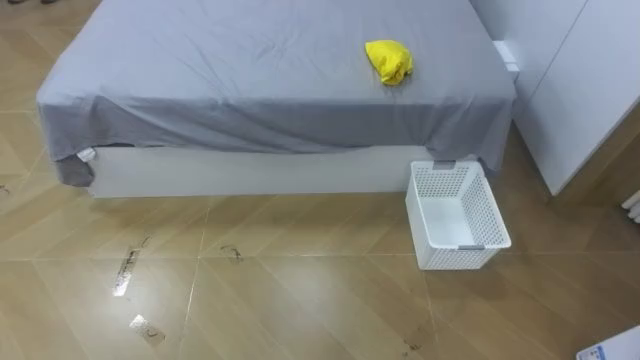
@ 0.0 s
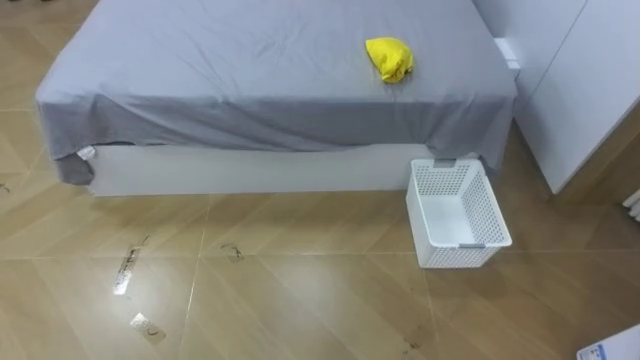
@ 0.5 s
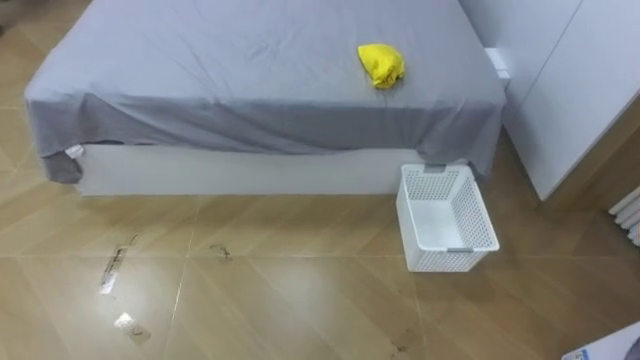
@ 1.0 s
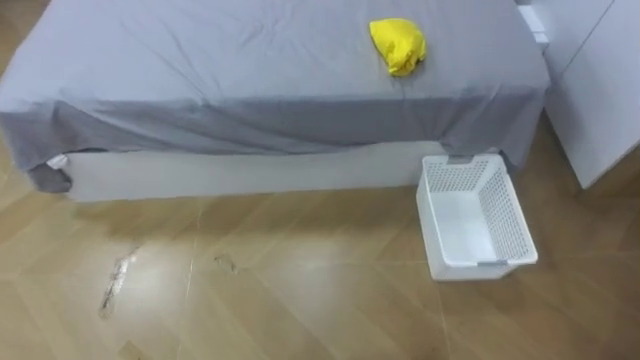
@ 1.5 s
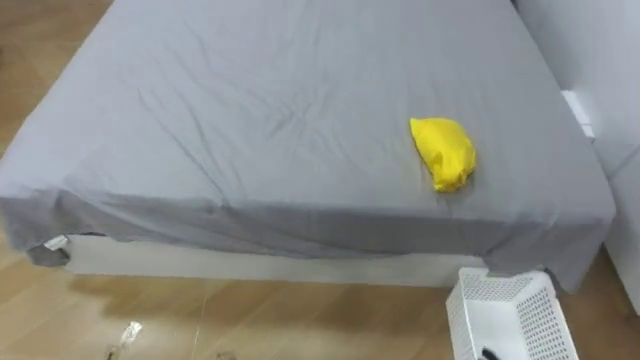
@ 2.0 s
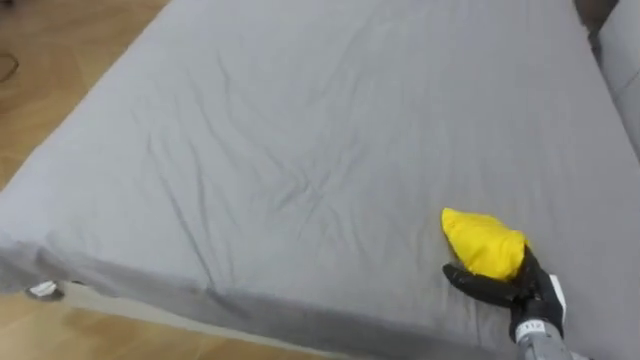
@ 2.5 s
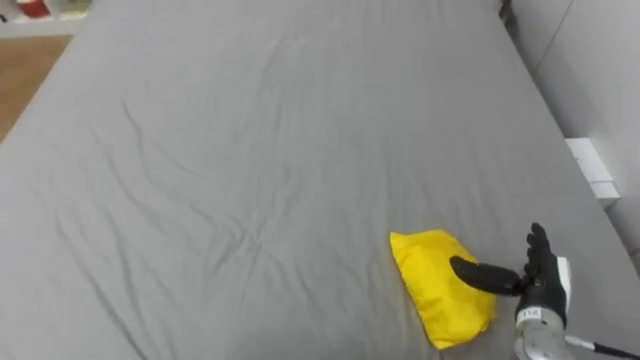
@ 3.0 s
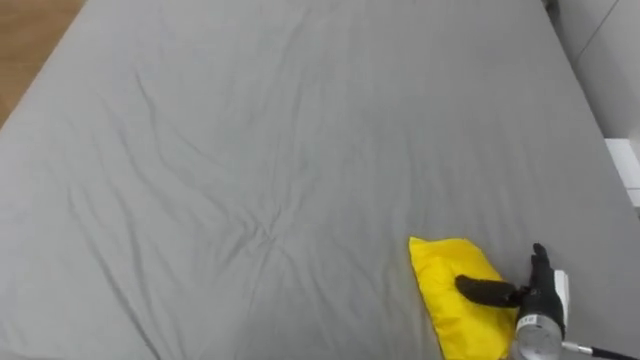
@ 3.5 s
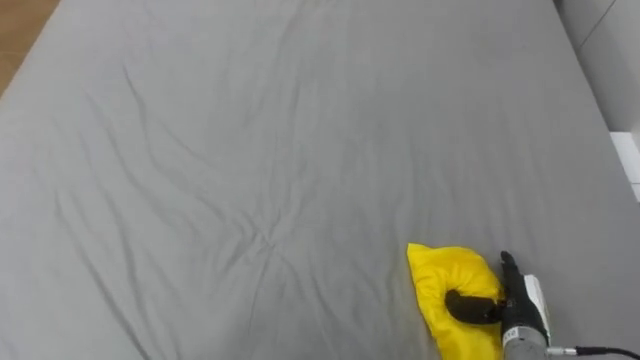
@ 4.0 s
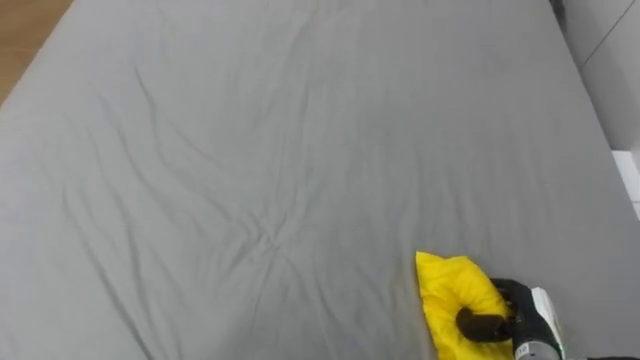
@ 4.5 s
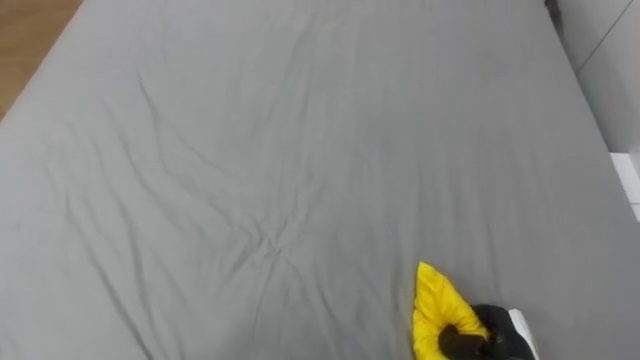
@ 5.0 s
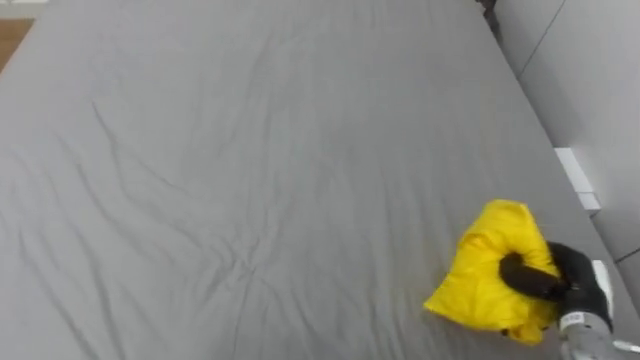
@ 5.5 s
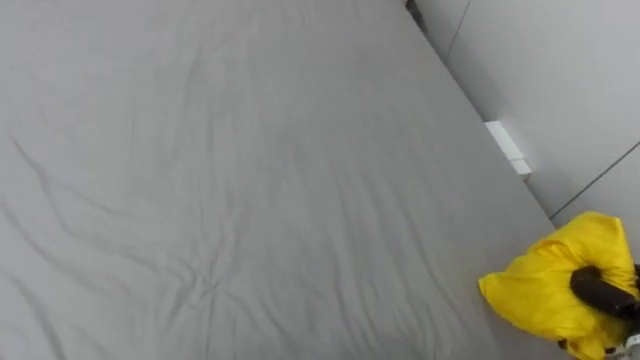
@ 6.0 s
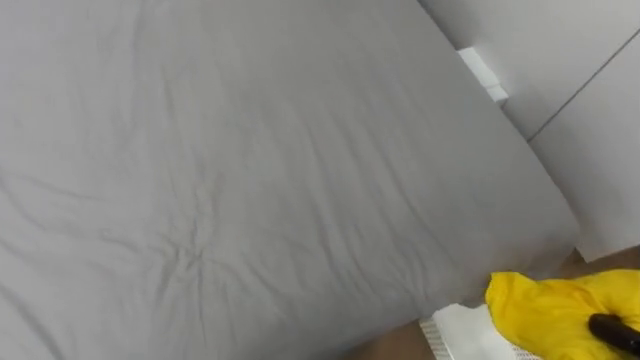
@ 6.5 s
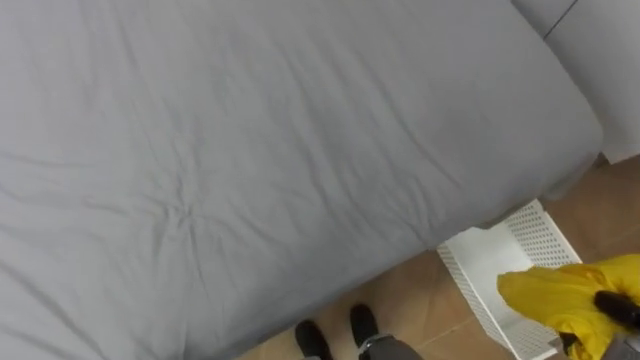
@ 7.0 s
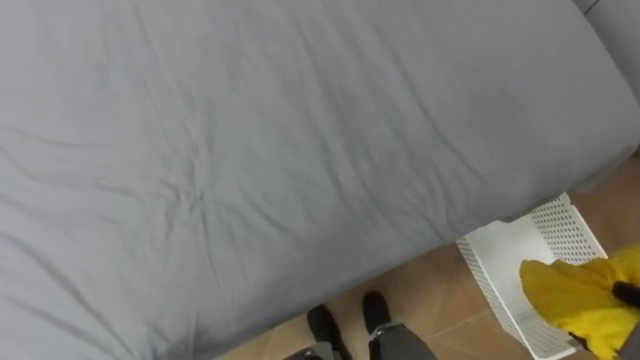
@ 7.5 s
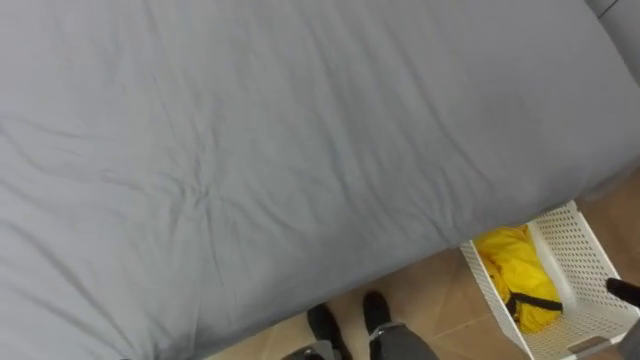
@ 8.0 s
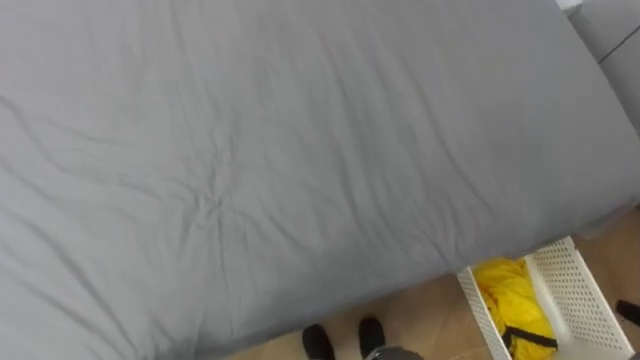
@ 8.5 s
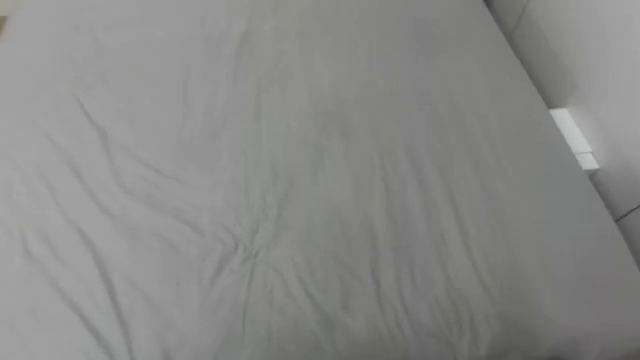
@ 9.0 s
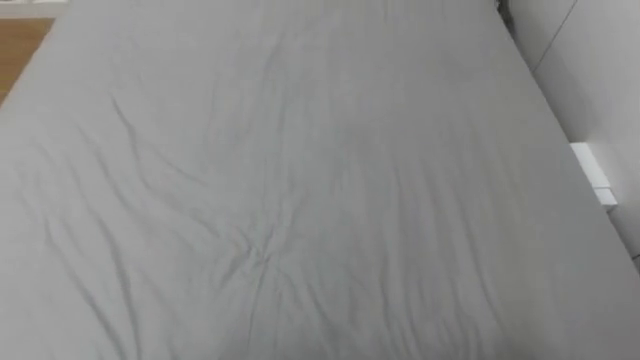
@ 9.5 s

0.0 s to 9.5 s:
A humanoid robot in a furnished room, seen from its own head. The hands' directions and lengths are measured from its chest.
Task of the whole recording: Pick up the yellow clothes on the bed and place them into the white basket on the right.
4.0 to 5.5 s: The right hand is displaced to the right by about 5 cm, and closes up.
7.5 to 9.5 s: The robot rotates roughly 15 degrees to its left.

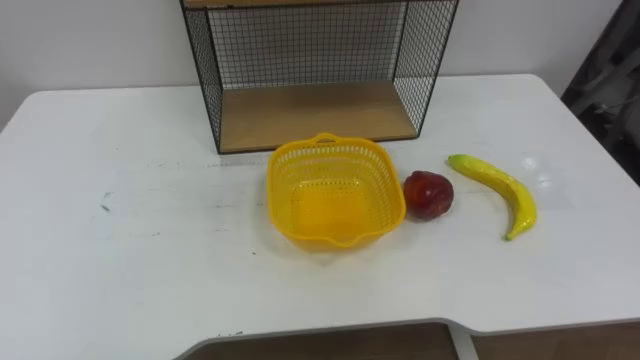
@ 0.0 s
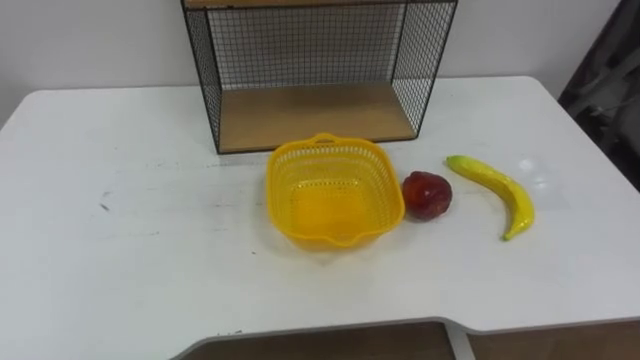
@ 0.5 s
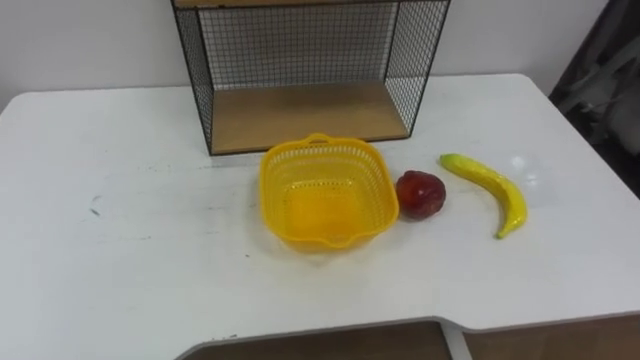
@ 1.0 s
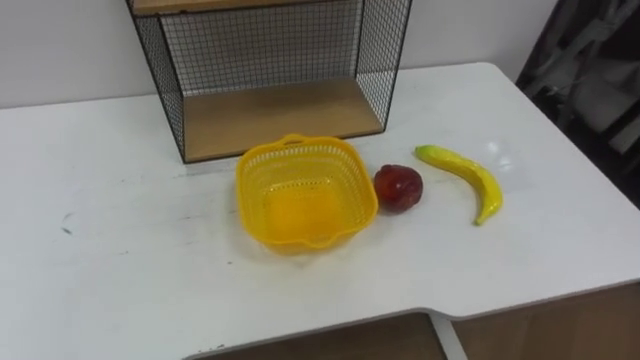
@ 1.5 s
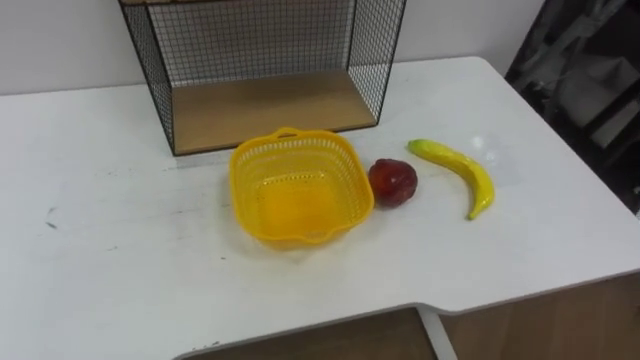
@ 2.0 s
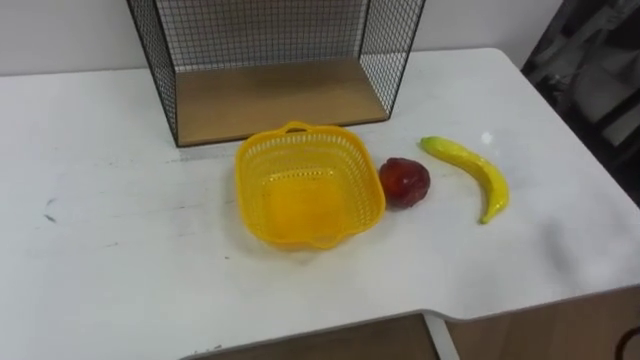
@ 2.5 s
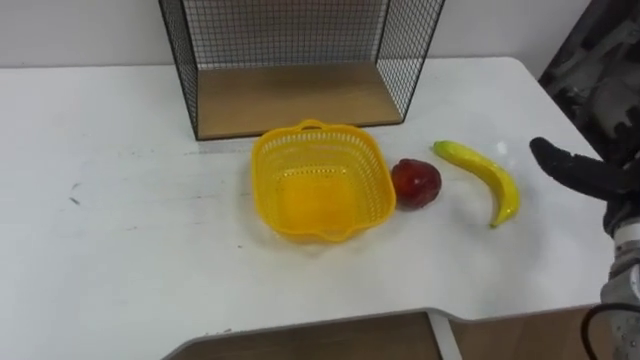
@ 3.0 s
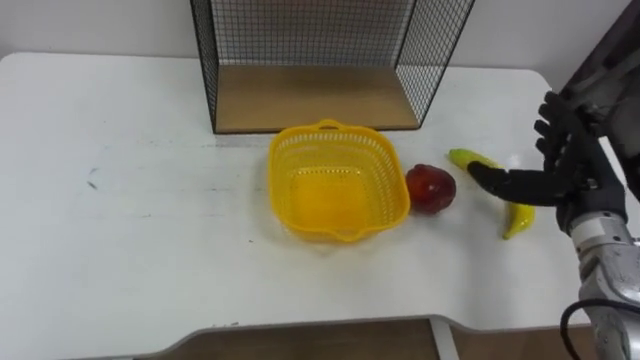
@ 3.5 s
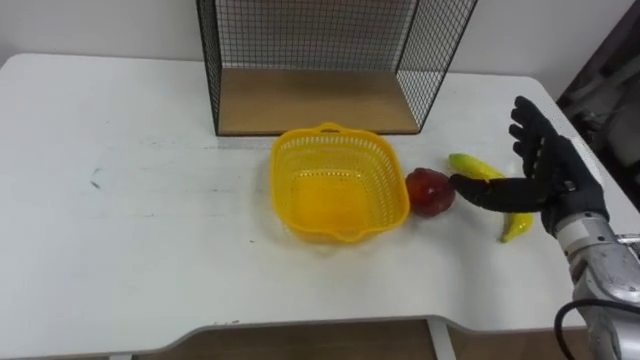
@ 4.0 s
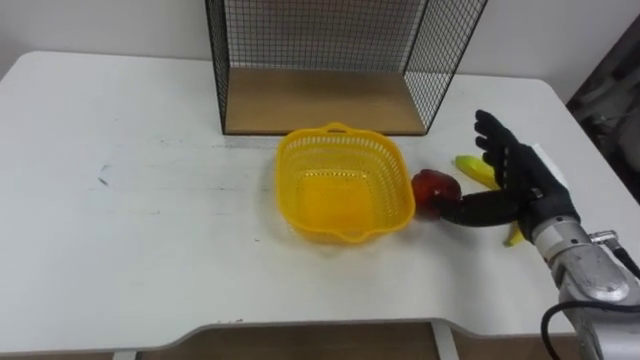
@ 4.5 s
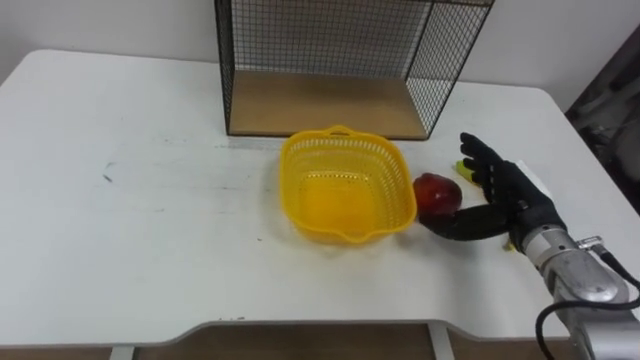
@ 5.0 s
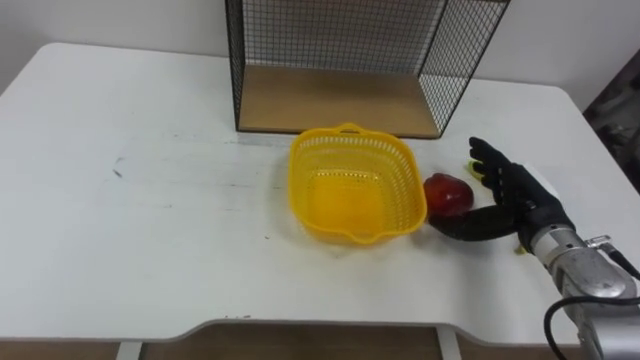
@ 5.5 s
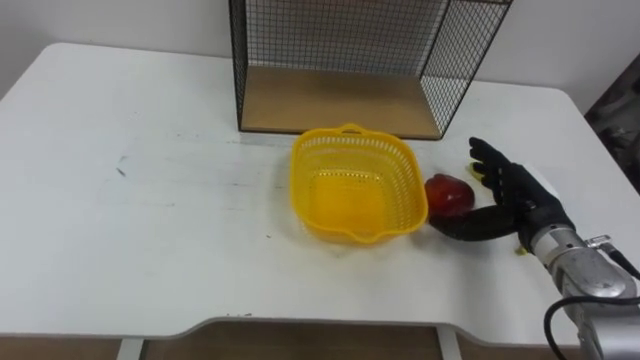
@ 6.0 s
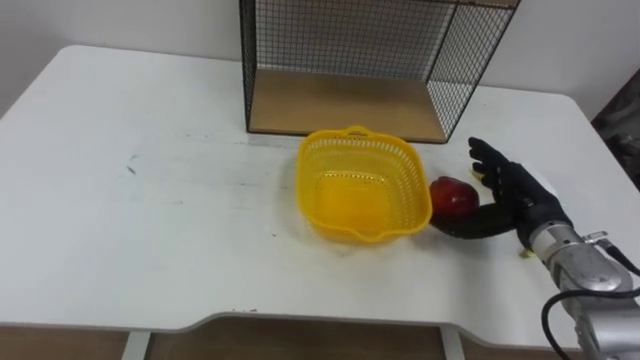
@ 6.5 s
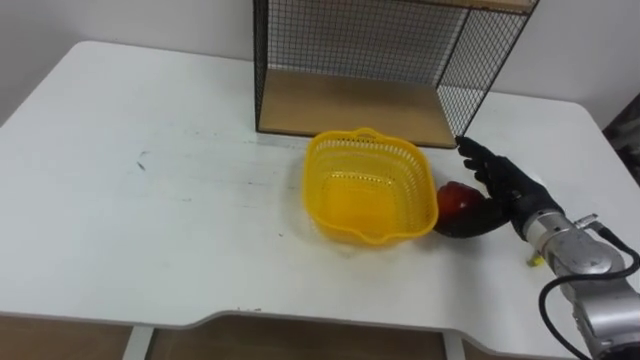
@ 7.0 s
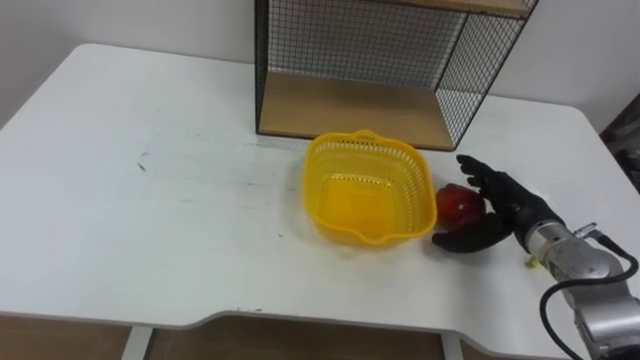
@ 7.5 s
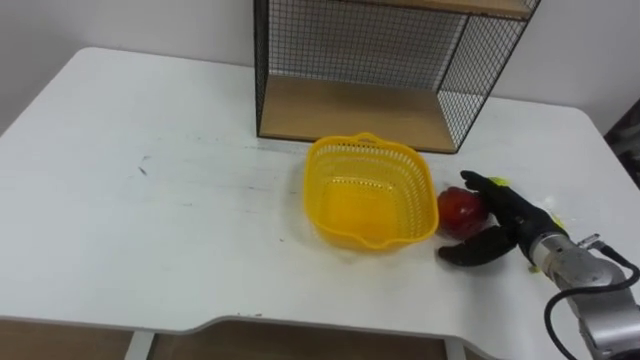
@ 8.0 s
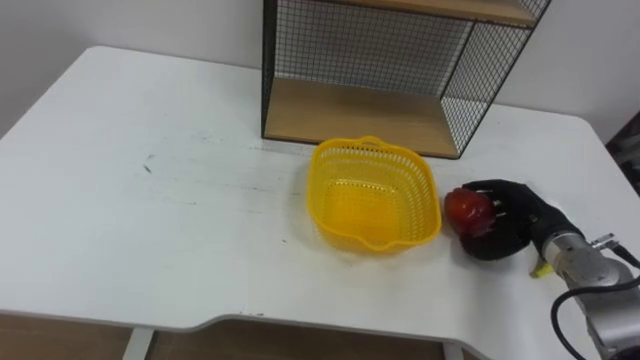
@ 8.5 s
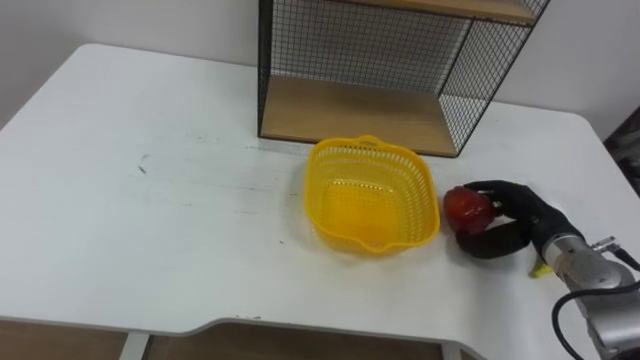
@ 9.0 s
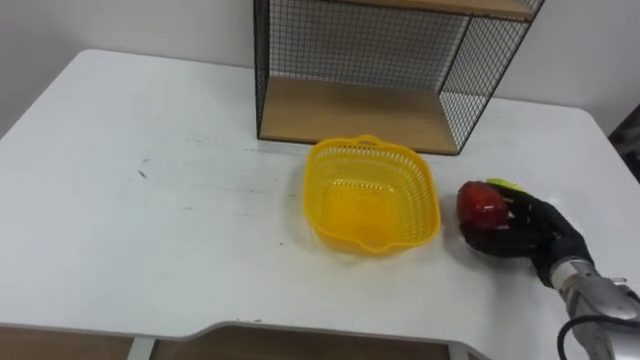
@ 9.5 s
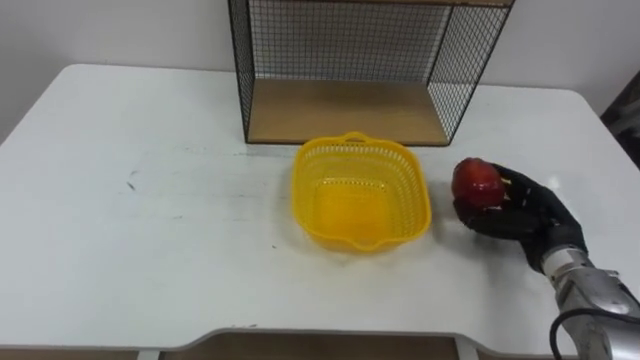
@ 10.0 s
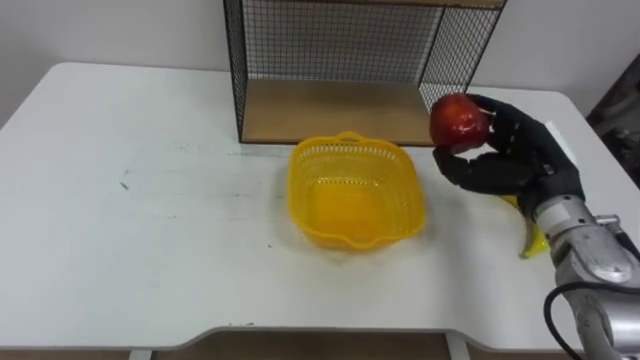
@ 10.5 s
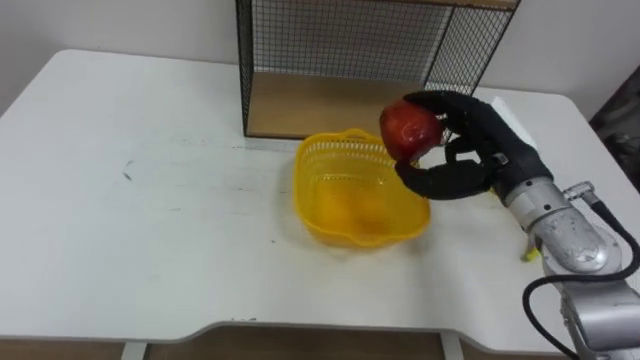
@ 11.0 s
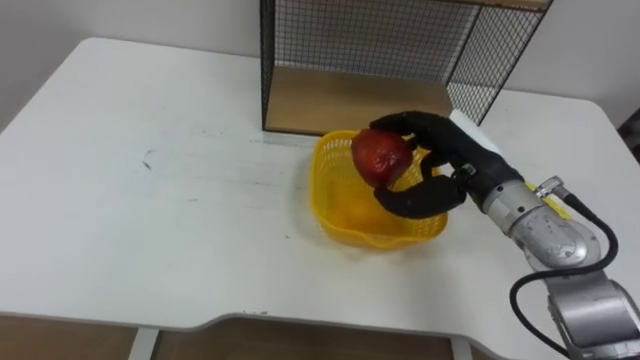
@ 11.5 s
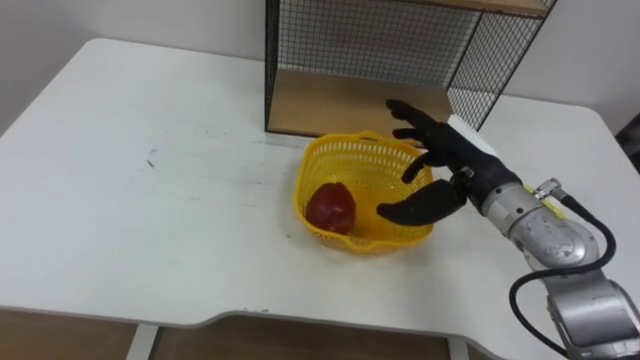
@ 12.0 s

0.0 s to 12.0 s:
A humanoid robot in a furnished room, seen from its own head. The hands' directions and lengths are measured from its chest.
Task of the whole recording: Put the fruit on the table into the basket, then place the basket on the shelf.
4.0 to 6.0 s: The right hand shifts by about 5 cm.
8.0 to 10.0 s: The right hand closes.
10.0 to 12.0 s: The right hand heads to the left and upward, covering about 15 cm, and opens.
